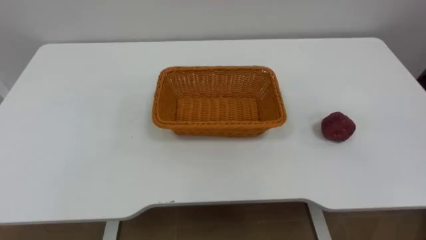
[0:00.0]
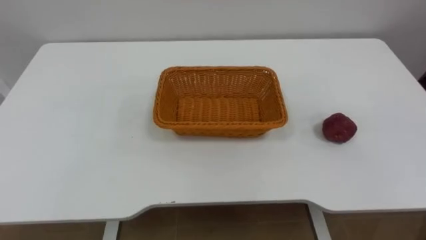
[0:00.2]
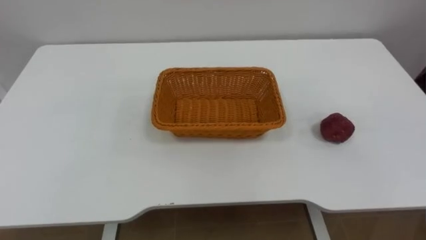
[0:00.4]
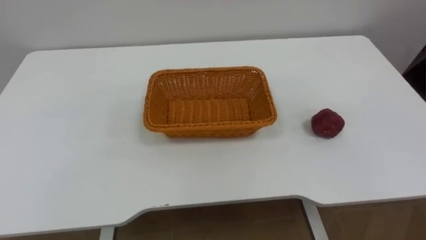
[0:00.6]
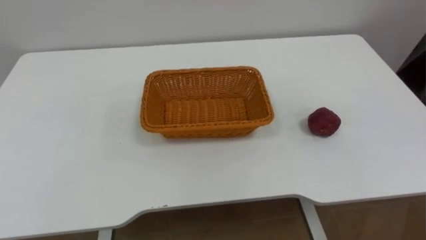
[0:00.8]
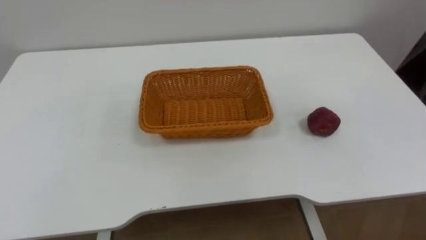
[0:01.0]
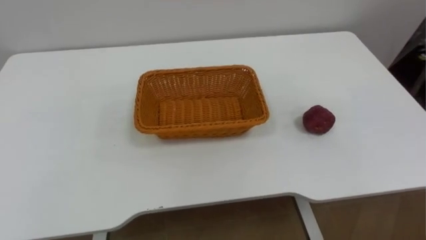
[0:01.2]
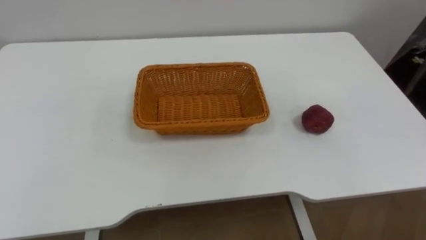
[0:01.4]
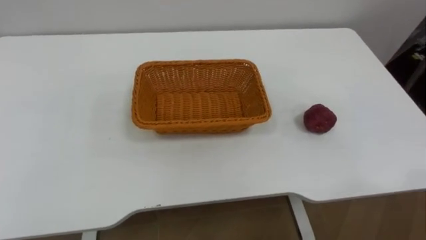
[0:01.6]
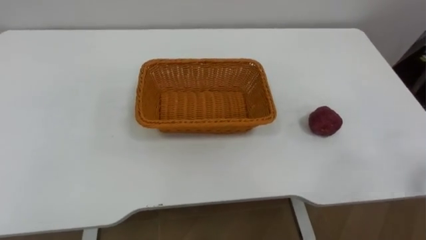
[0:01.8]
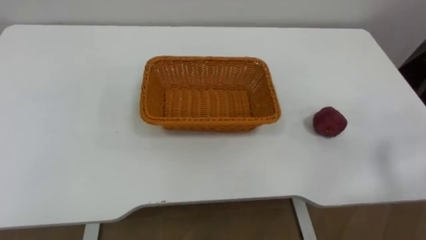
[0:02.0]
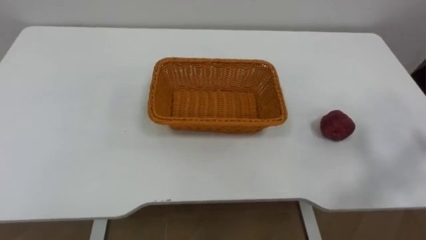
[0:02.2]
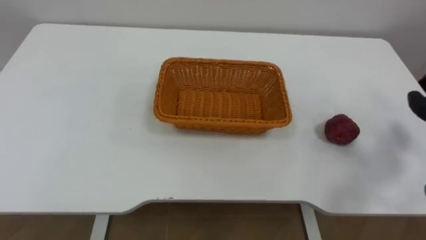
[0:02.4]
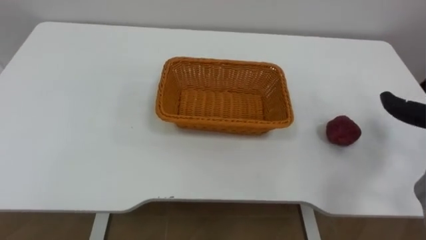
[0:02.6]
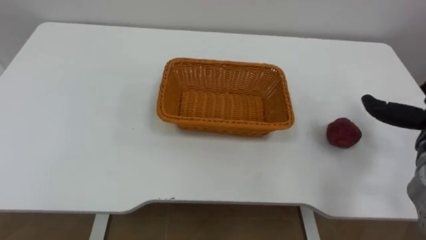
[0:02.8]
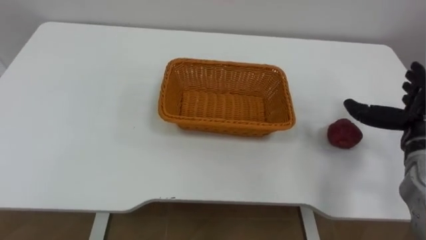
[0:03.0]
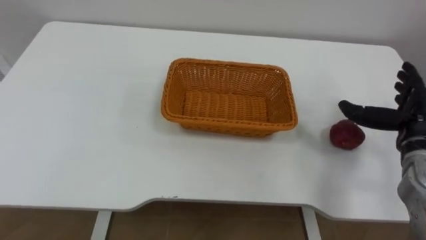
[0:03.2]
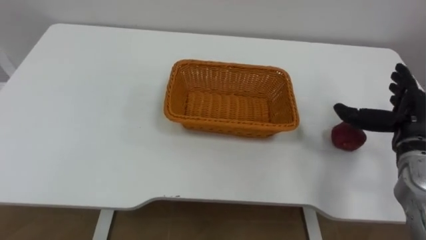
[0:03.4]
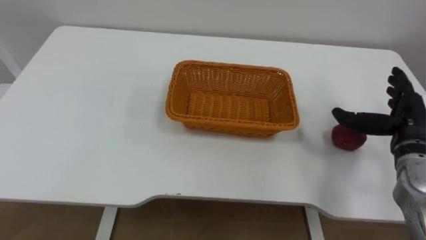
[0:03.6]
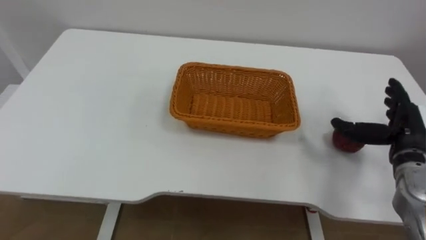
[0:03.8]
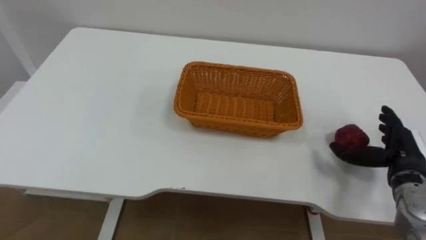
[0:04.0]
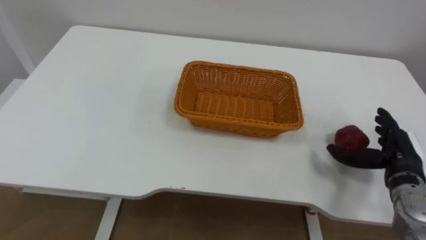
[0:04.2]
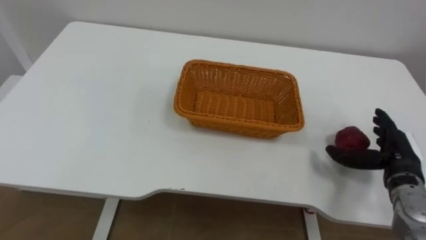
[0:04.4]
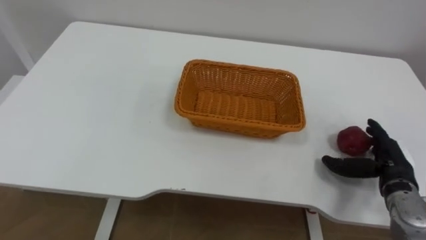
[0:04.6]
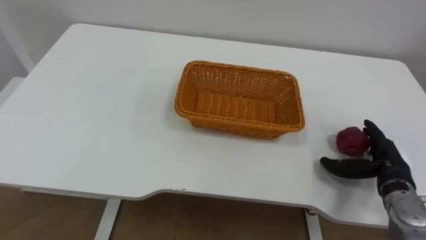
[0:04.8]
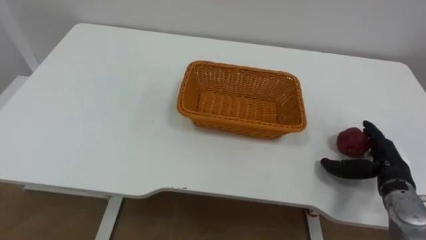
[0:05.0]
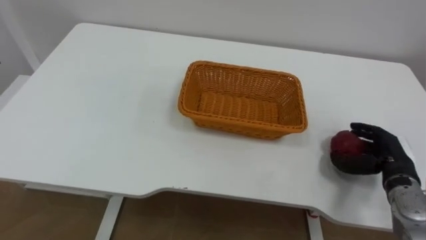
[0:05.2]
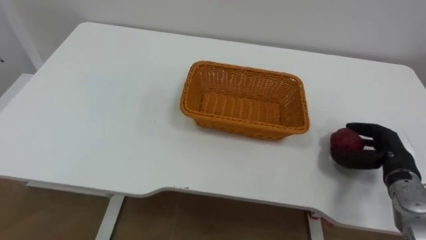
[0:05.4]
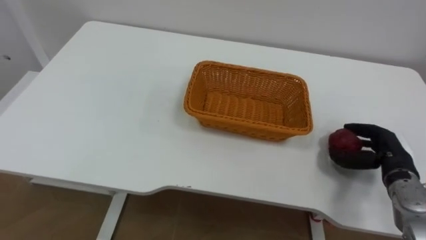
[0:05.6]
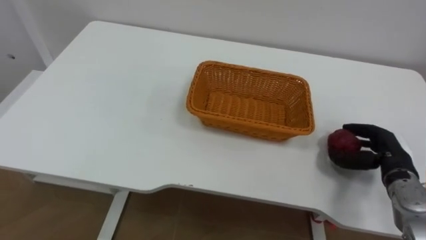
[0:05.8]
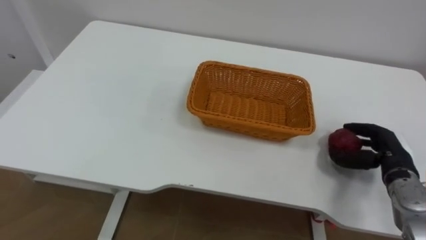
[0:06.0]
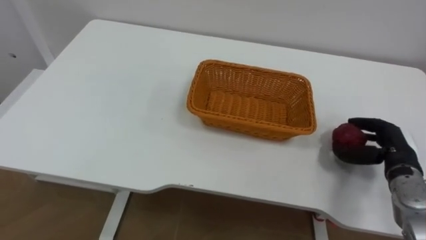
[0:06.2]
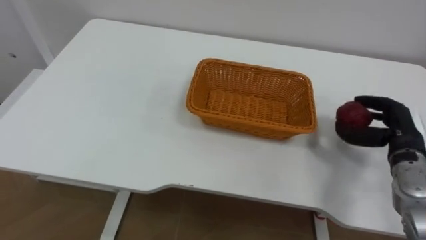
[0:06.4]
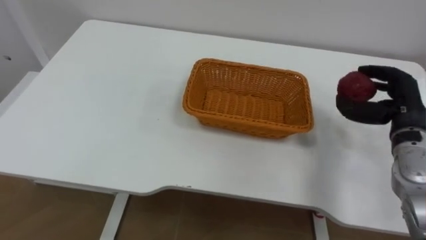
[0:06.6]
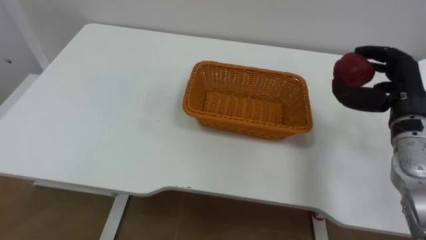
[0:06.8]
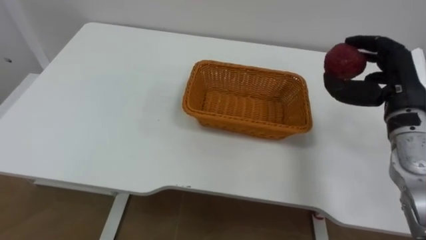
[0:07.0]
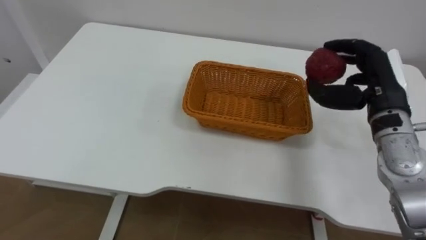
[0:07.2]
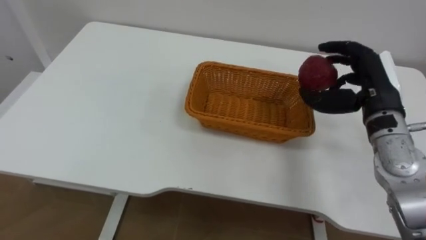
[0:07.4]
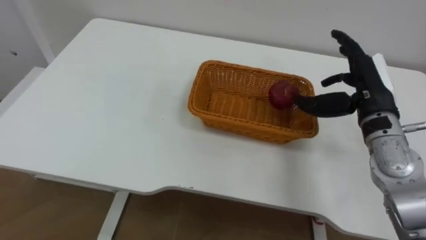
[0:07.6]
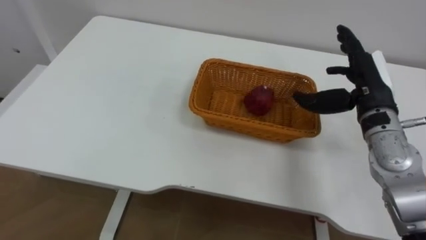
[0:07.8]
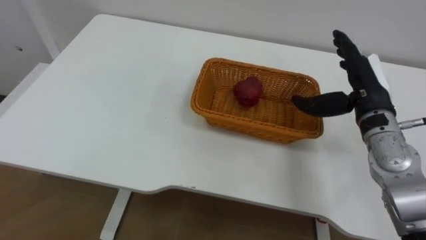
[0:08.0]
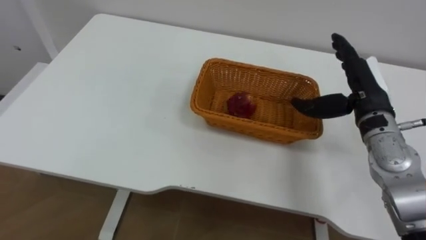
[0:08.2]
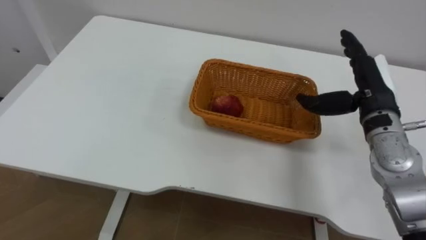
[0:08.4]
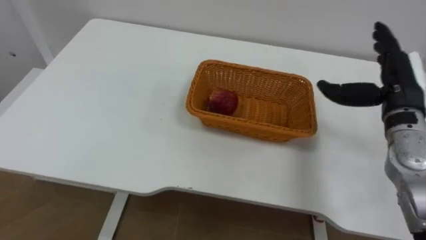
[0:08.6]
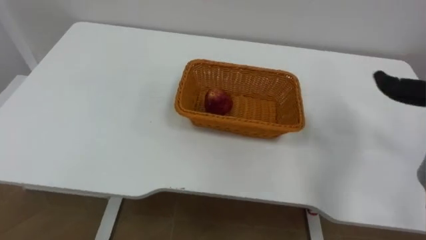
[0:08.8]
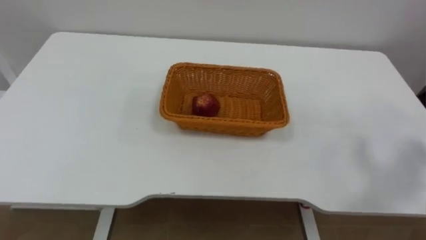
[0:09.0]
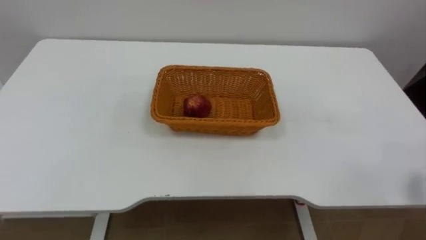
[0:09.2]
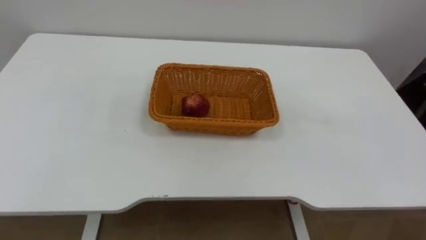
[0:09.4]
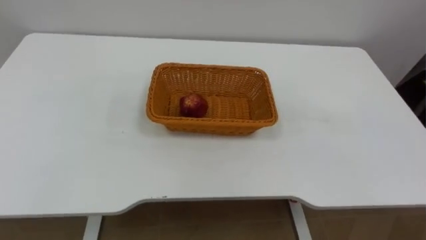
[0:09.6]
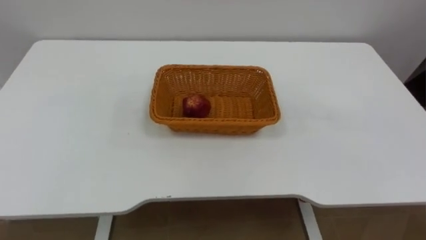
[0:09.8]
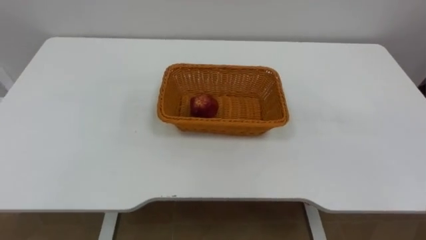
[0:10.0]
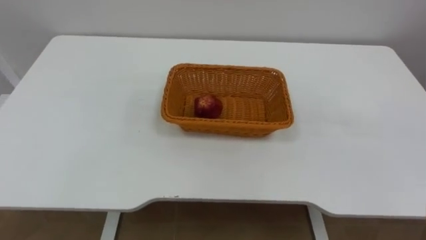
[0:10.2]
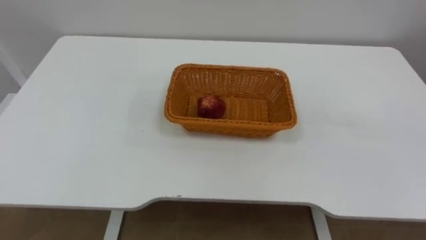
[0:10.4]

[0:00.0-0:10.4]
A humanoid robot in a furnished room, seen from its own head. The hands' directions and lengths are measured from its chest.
Task of the whole recording: Pick the apple and place it in the box.
3.0 to 4.4 s: The right hand shifts about 5 cm downward.
4.4 to 6.0 s: The right hand closes its fingers.
6.0 to 7.4 s: The right hand goes approximately 15 cm upward and to the left.

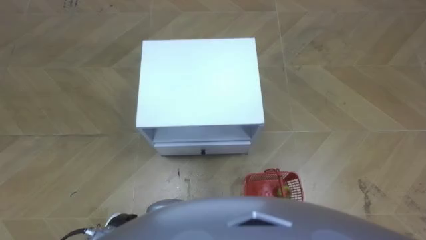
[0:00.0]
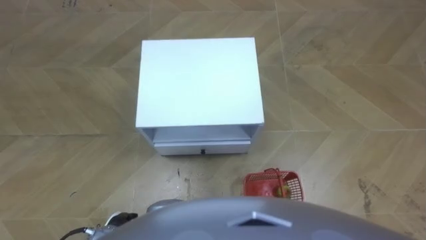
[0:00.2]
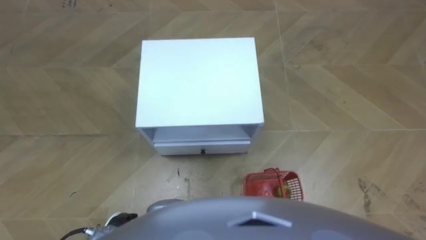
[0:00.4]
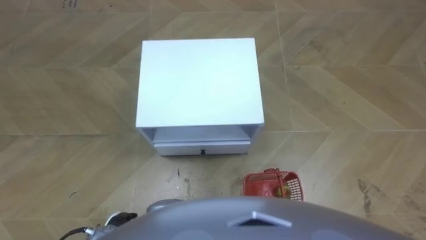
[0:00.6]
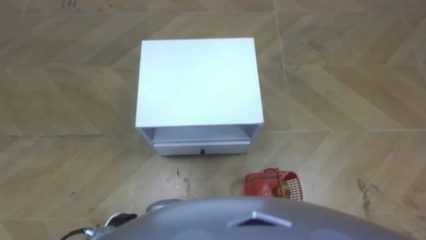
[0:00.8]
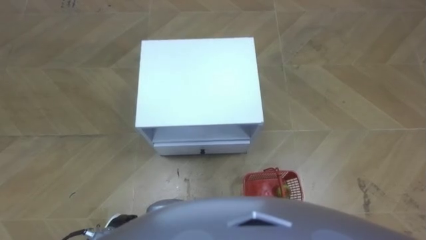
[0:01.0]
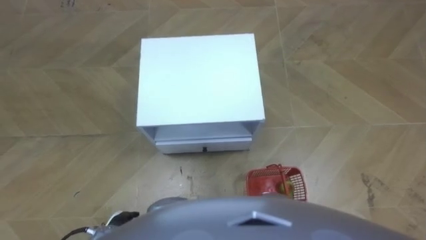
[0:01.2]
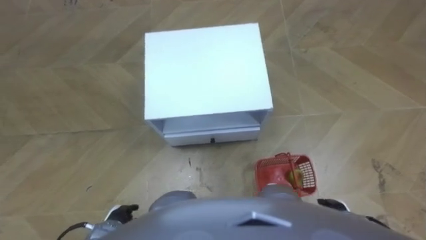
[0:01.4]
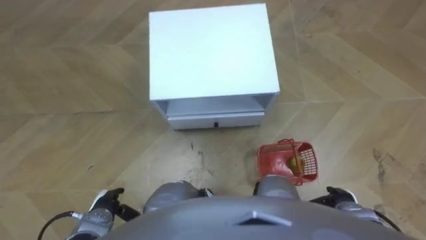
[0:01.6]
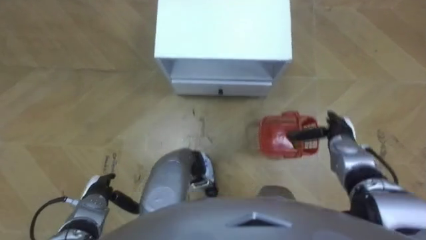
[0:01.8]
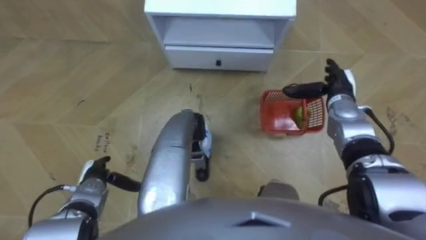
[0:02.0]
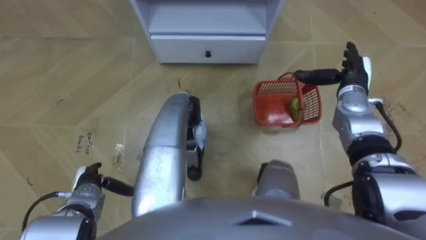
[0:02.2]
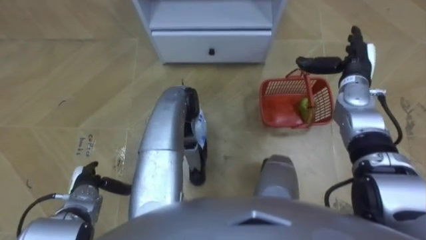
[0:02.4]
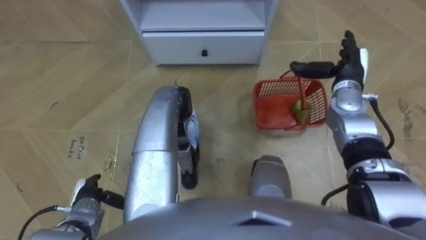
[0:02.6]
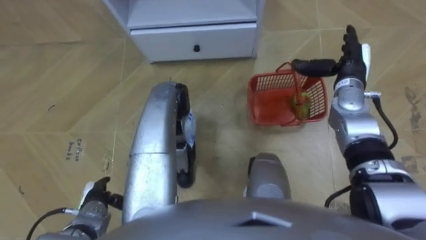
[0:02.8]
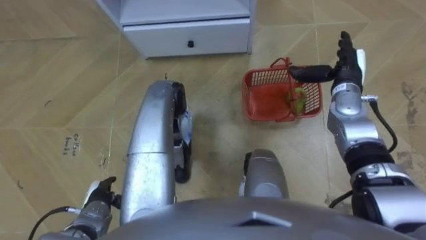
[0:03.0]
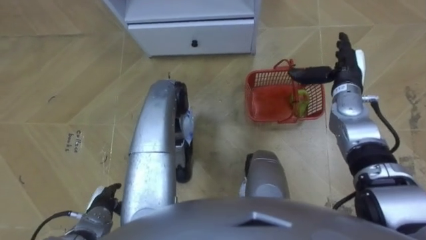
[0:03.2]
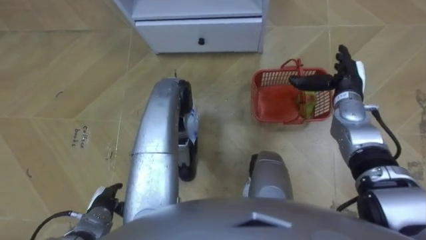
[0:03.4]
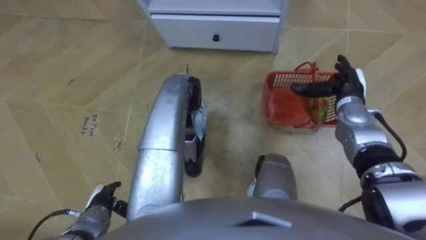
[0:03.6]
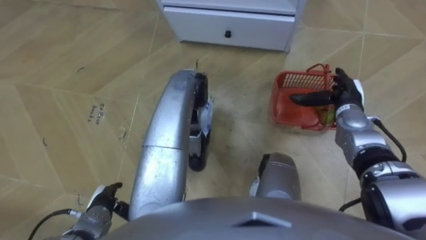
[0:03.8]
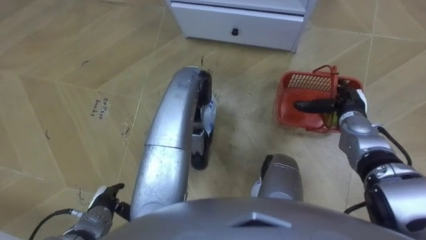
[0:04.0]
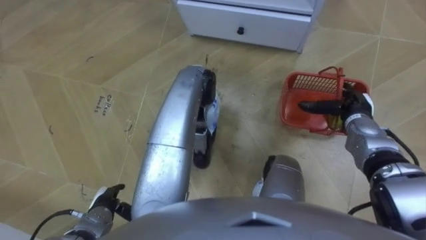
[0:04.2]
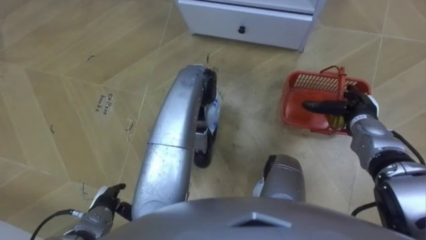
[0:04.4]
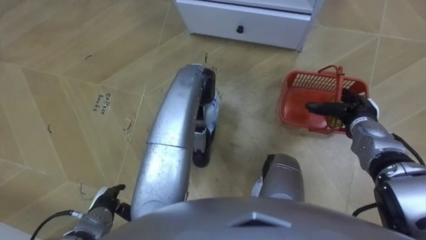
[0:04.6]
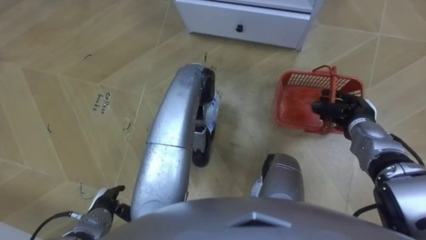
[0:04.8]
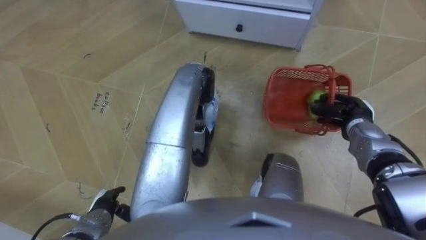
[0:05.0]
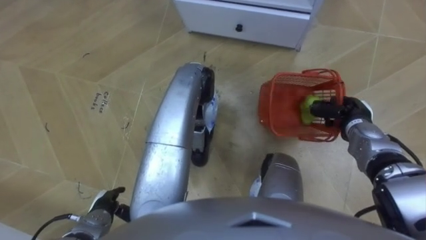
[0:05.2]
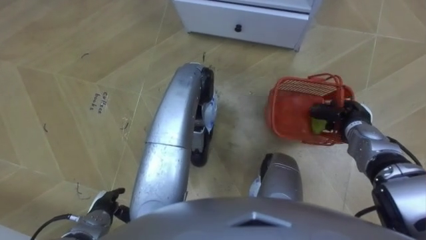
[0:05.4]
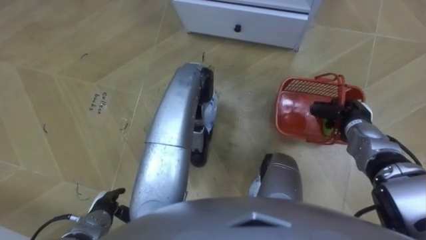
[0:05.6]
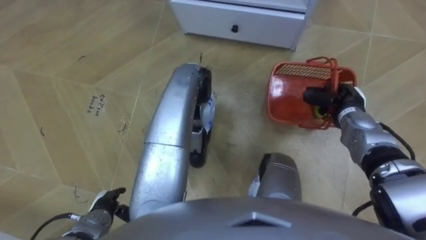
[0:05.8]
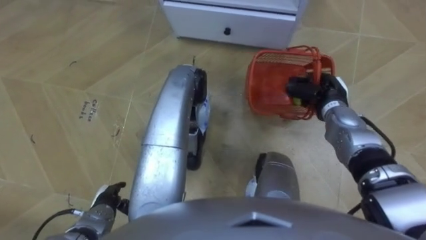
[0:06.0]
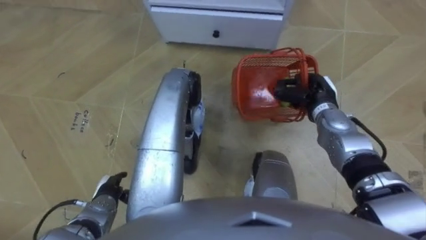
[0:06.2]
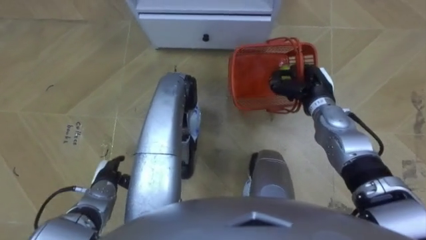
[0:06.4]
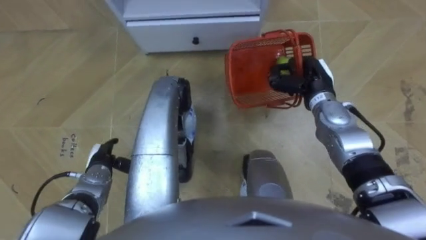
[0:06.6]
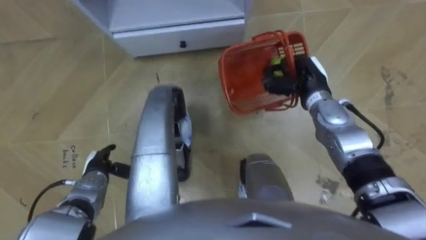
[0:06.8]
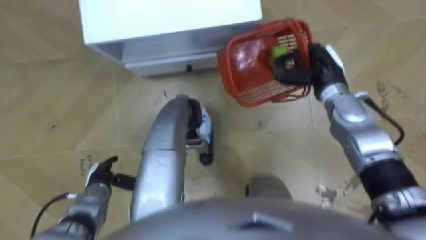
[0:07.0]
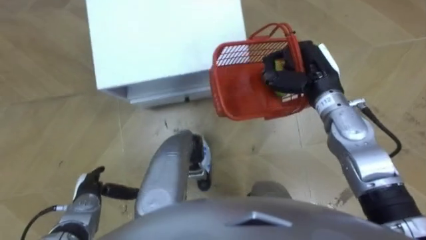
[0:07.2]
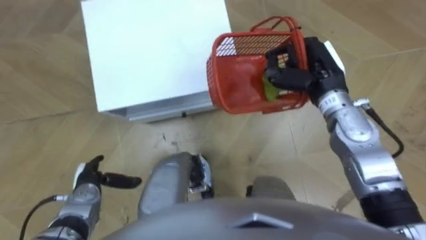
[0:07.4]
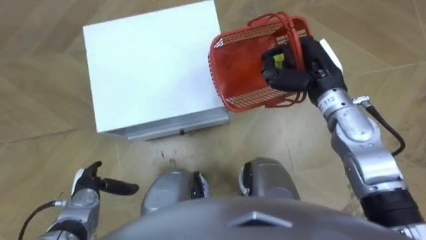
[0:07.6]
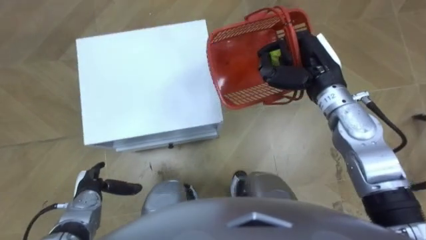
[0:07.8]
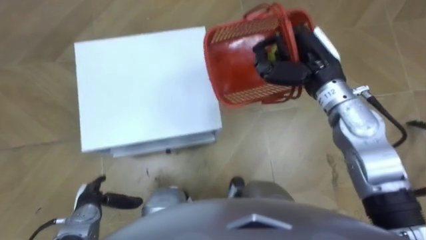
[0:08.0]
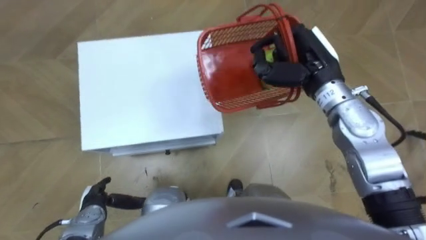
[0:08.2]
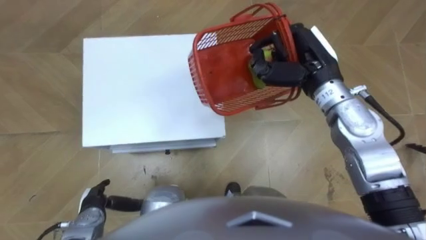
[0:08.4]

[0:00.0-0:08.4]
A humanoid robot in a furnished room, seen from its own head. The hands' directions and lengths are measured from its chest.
Task of the whole recording: Pick up the fruit basket from the floor and place it on the cabinet.
1.4 to 2.8 s: The left hand is displaced to the left and forward by some 5 cm; the right hand goes about 35 cm forward and upward.
2.8 to 4.2 s: The right hand travels downward and backward by approximately 10 cm.
4.2 to 5.6 s: The right hand closes its fingers.
5.6 to 7.0 s: The left hand heads forward, covering roughly 5 cm. Meanwhile the right hand goes roughly 15 cm upward, to the left and forward.
7.0 to 8.4 s: The right hand shifts some 5 cm upward, while the left hand heads backward, covering about 5 cm.
